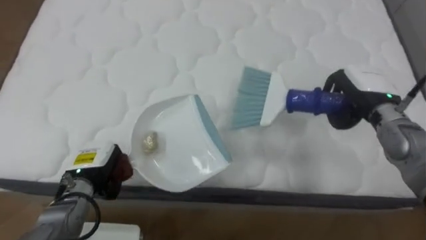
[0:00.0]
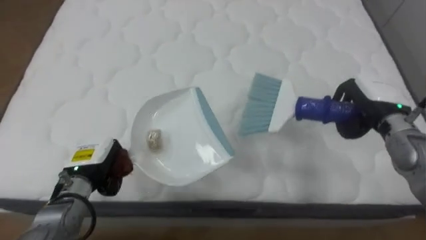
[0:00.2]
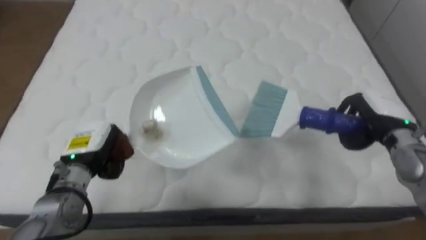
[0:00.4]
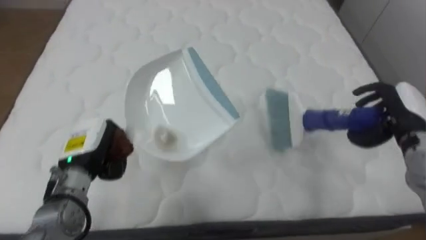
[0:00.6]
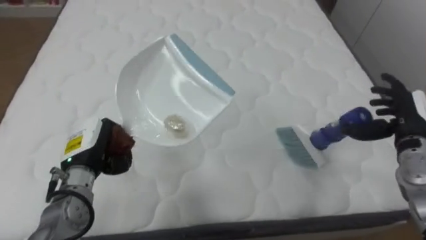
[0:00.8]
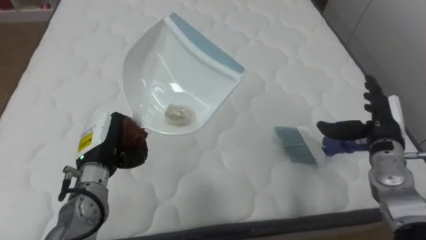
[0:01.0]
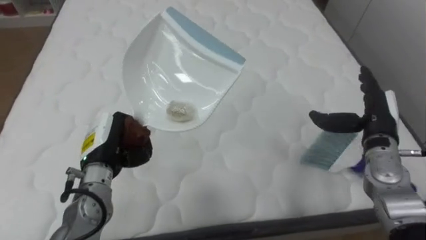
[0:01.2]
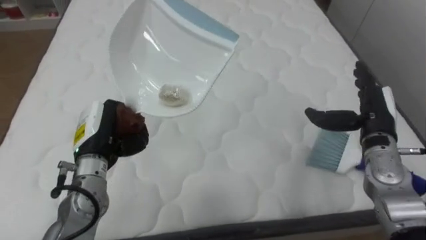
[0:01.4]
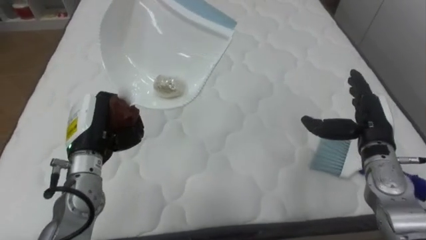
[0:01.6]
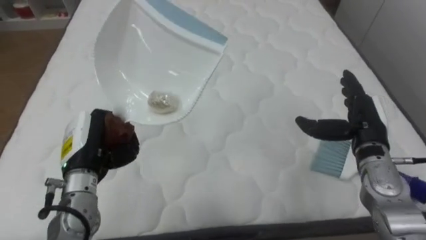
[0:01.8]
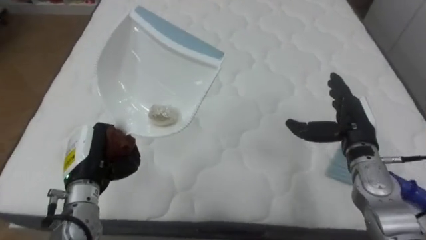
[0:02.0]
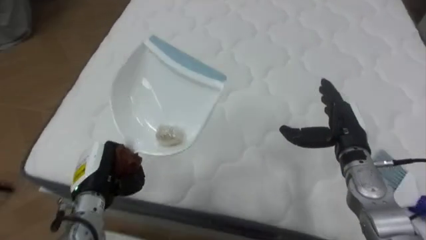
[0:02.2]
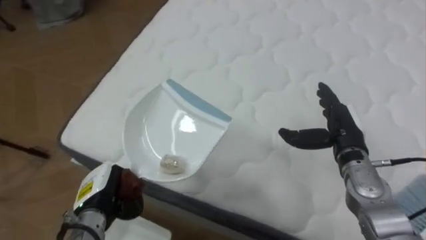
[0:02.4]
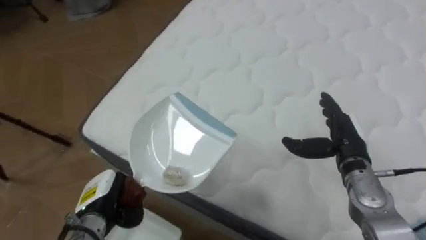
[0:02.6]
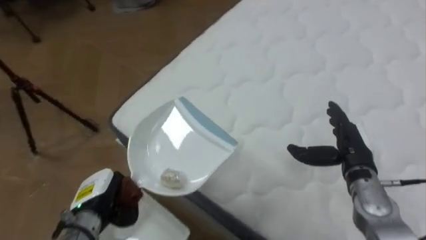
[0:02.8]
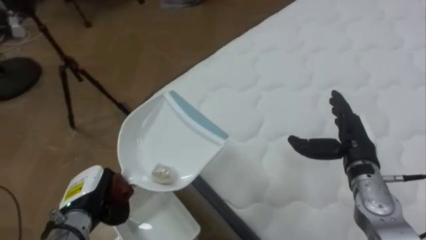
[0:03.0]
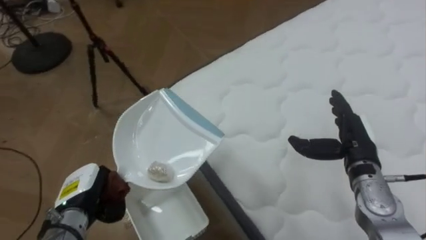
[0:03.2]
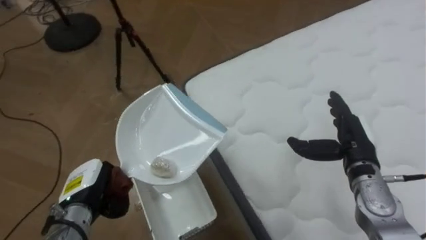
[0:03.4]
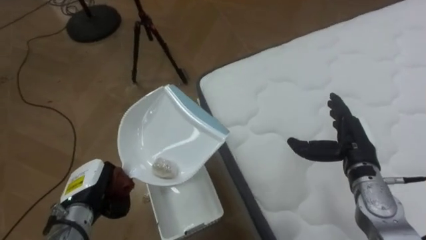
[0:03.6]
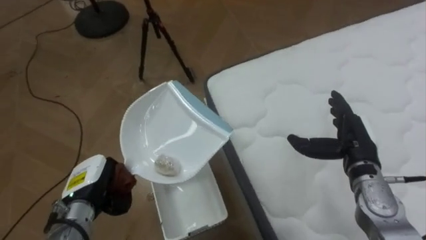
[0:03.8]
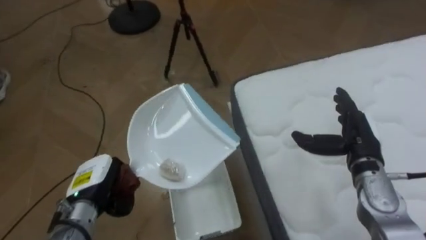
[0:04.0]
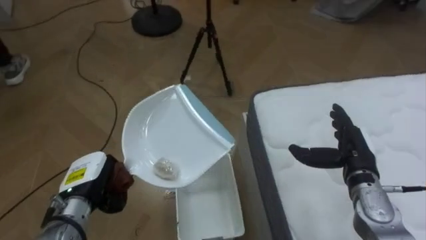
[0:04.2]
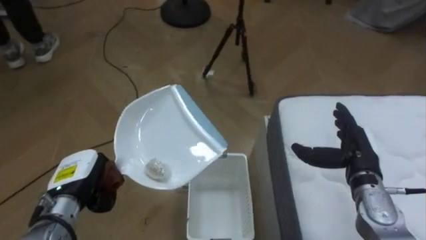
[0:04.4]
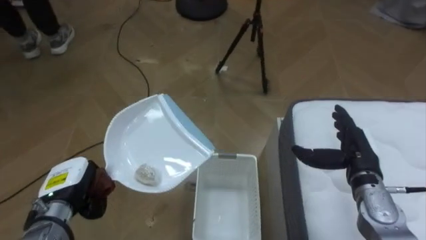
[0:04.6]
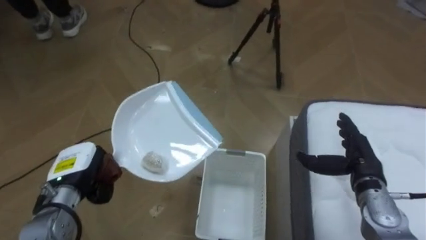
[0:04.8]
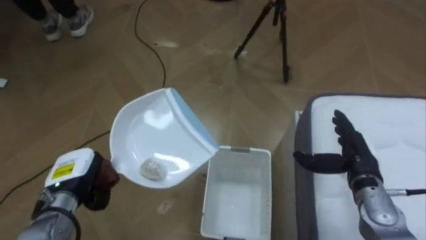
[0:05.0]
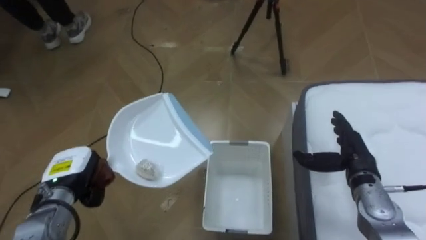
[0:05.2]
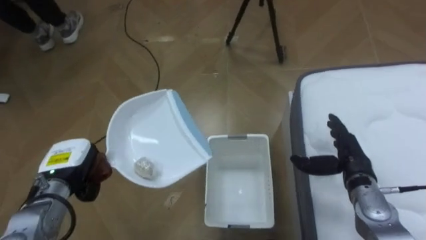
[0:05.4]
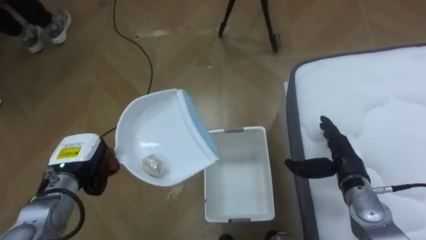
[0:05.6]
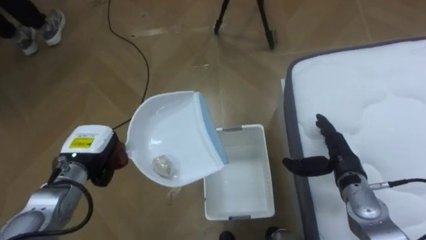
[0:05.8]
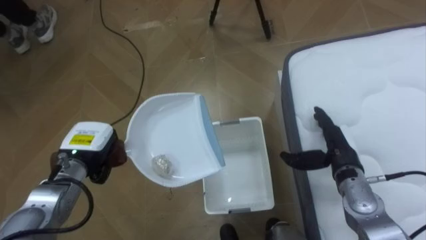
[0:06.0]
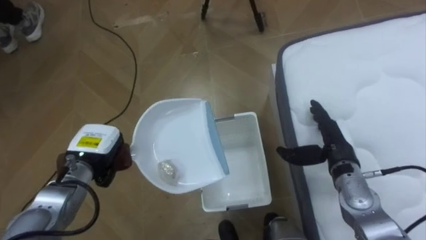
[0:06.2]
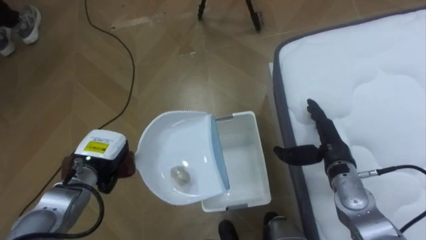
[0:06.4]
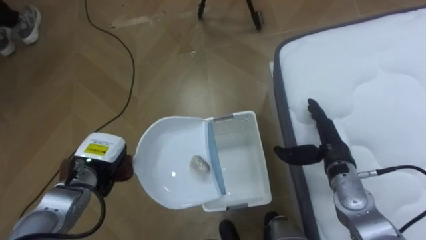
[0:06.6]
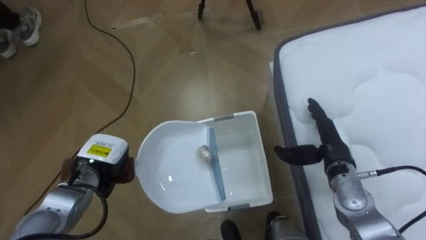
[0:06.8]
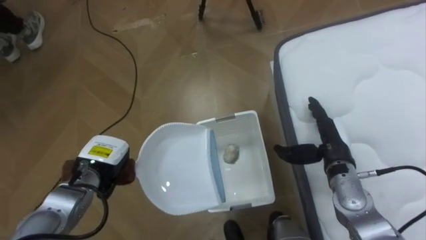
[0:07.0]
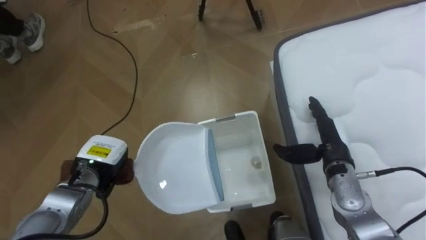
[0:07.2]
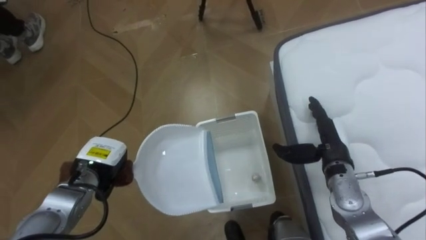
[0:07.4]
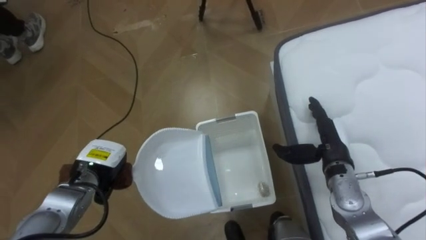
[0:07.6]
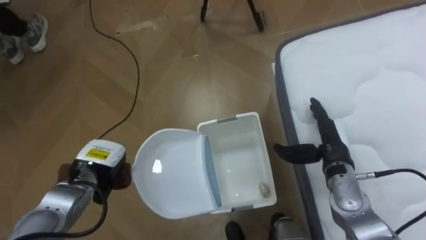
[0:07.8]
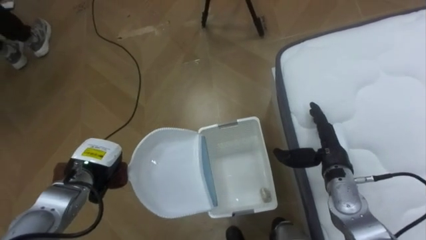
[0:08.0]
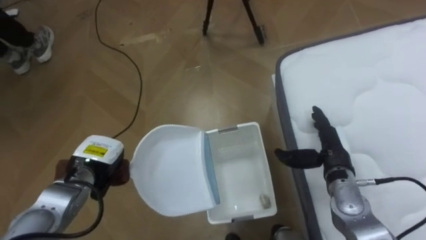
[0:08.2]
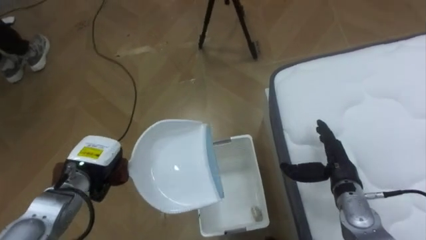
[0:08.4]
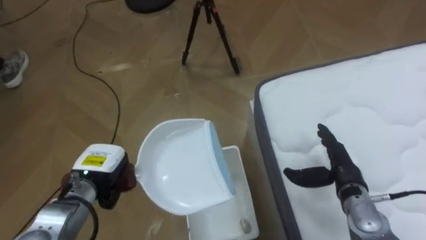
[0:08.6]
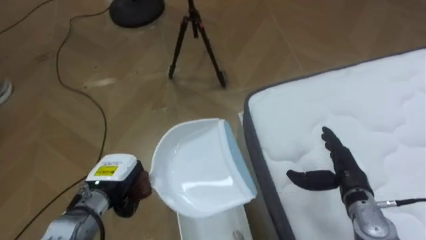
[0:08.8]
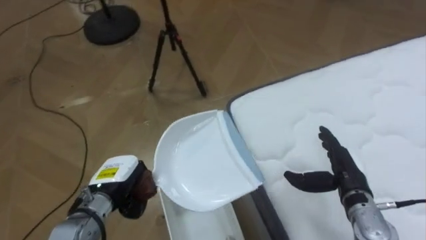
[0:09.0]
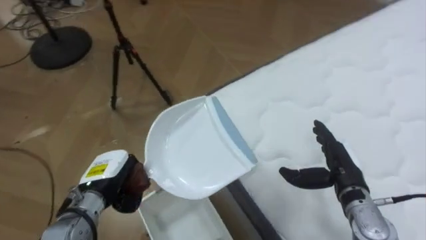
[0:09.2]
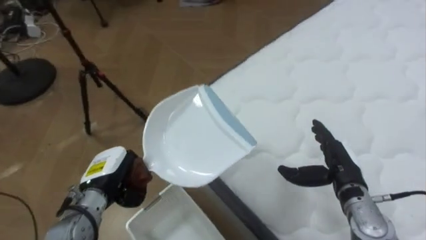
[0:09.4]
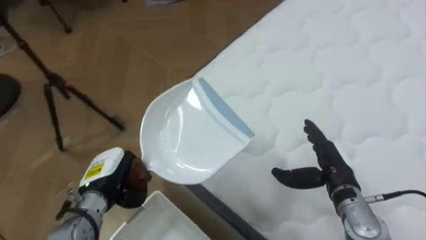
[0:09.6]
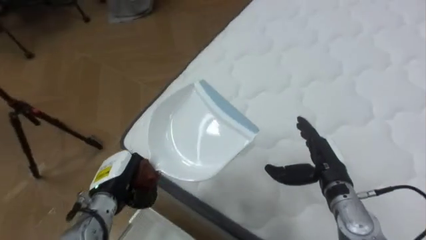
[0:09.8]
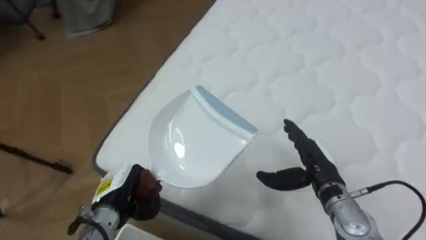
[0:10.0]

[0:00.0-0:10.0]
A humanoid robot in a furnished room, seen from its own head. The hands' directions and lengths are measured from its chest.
Task of the whole recording: Pick up the brush on your right and the dustpan on your left. Use the brush to sweep the crumpled paper on the bed into the dustpan, then turn left and empty it into the basket.
0:00.0 to 0:01.4: The left hand moves upward, about 10 cm; the right hand moves roughly 10 cm to the right and comes back, and opens.
0:01.4 to 0:02.8: The robot turns to its left by approximately 45 degrees. The left hand goes some 15 cm downward and backward. Meanwhile the right hand moves downward, roughly 5 cm.
0:02.8 to 0:04.2: The robot faces some 45 degrees further to its left.
0:04.2 to 0:05.8: The left hand goes approximately 5 cm forward.
0:07.2 to 0:08.6: The right hand changes place by approximately 5 cm.
0:08.6 to 0:10.0: The robot faces roughly 60 degrees further to its right. The right hand moves to the left, about 5 cm. Meanwhile the left hand changes place by approximately 5 cm.

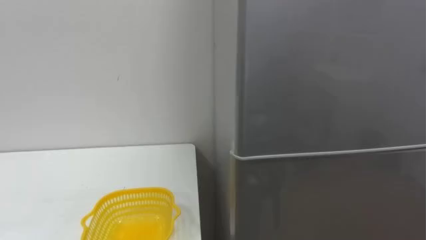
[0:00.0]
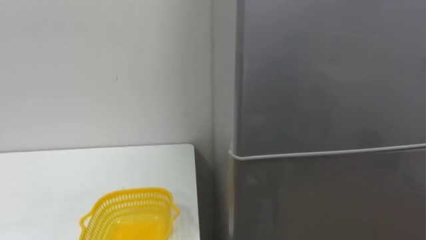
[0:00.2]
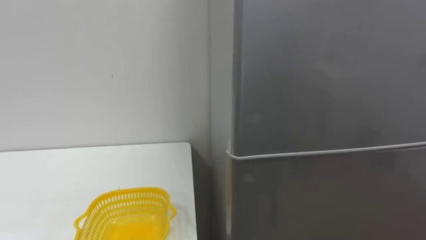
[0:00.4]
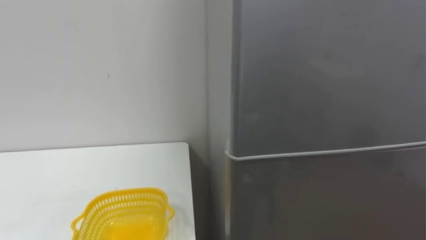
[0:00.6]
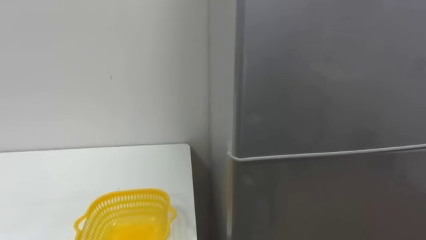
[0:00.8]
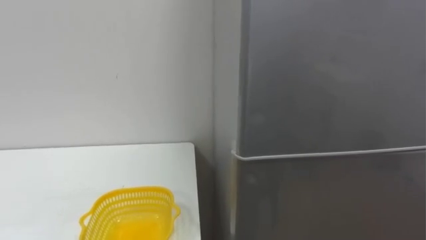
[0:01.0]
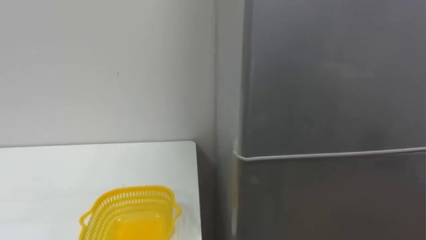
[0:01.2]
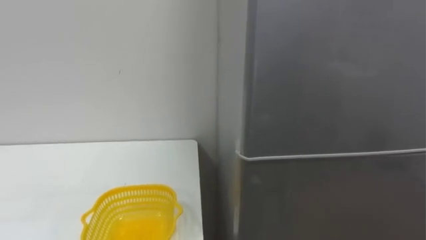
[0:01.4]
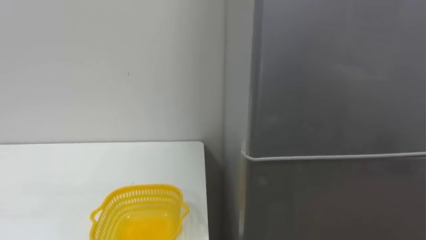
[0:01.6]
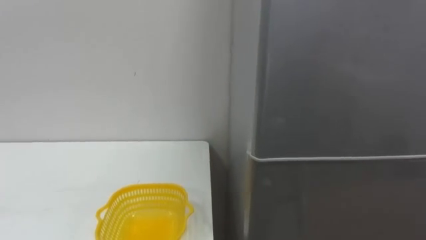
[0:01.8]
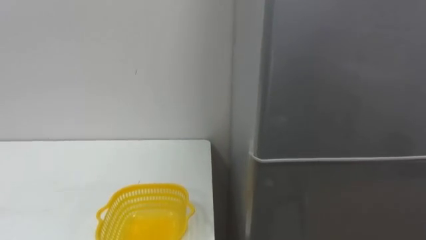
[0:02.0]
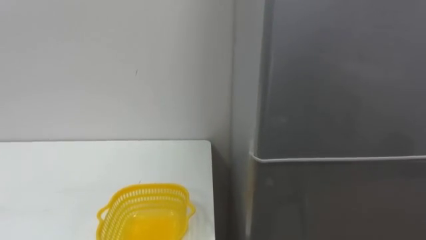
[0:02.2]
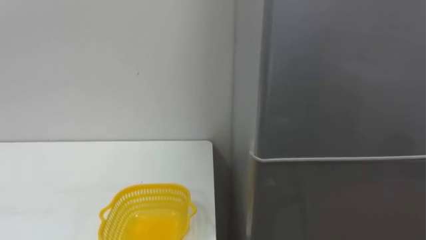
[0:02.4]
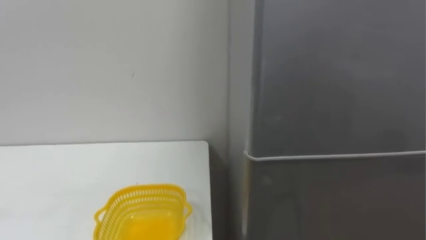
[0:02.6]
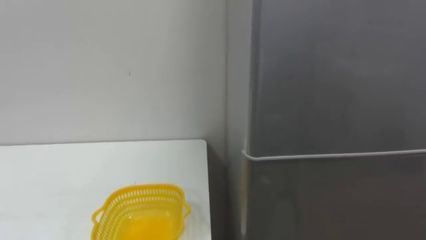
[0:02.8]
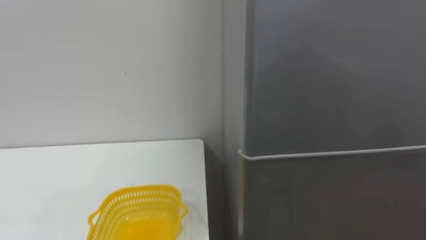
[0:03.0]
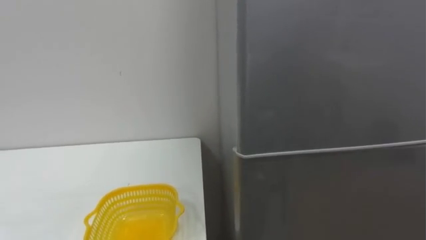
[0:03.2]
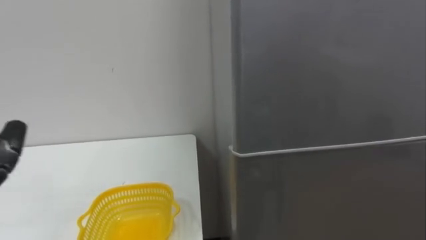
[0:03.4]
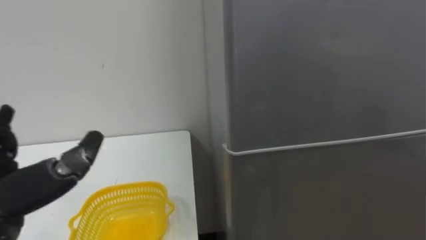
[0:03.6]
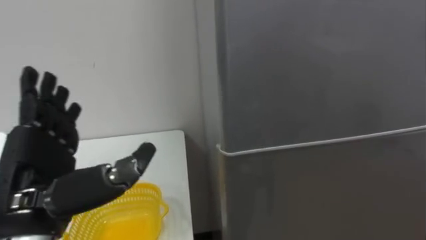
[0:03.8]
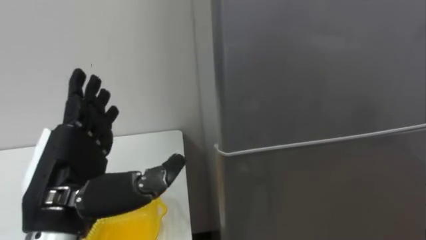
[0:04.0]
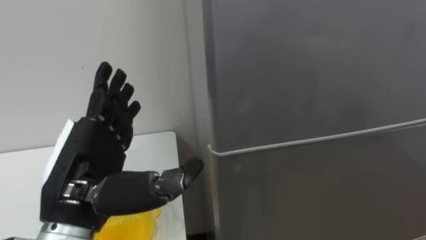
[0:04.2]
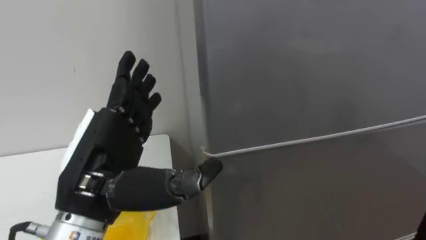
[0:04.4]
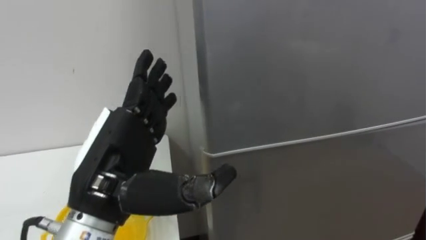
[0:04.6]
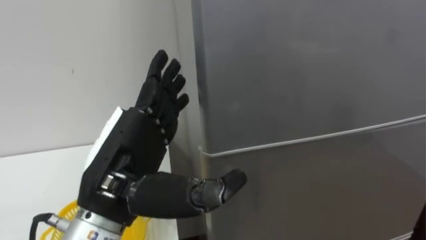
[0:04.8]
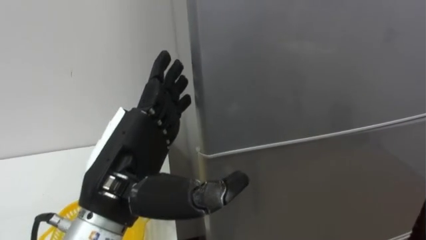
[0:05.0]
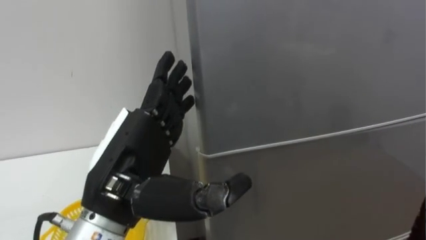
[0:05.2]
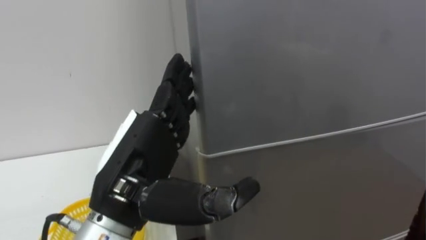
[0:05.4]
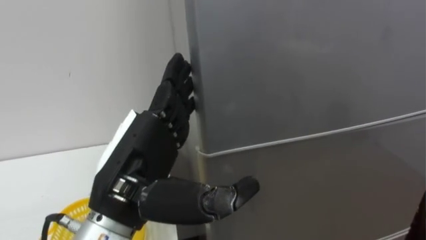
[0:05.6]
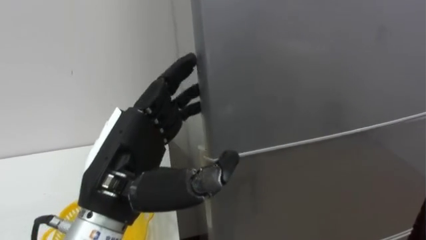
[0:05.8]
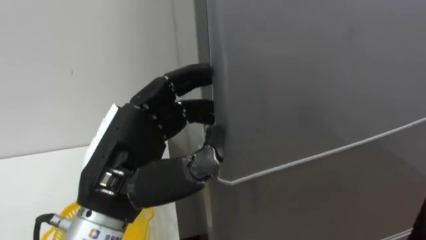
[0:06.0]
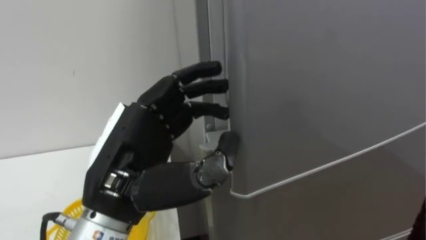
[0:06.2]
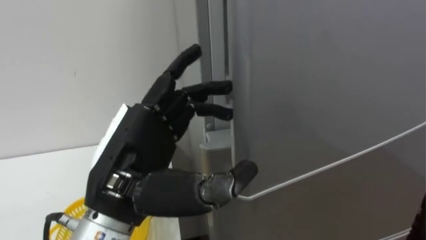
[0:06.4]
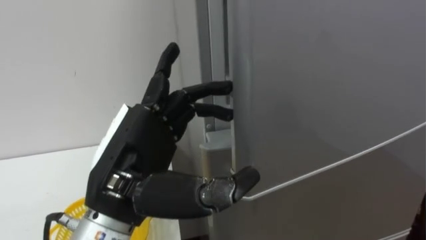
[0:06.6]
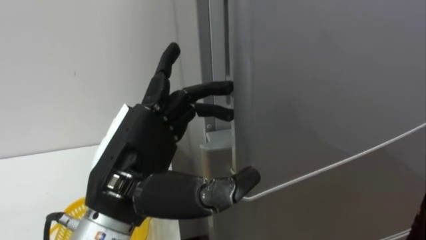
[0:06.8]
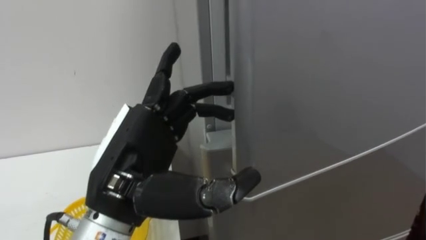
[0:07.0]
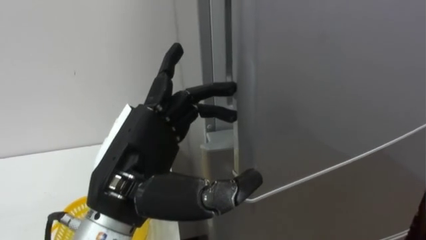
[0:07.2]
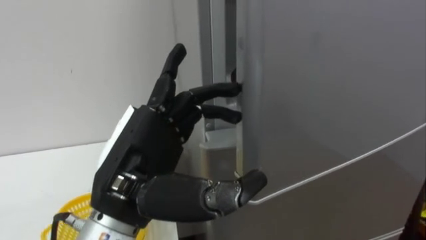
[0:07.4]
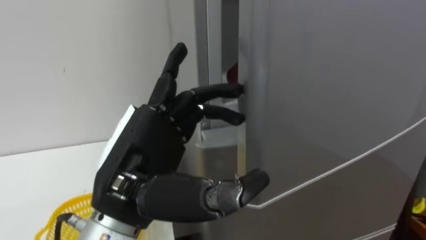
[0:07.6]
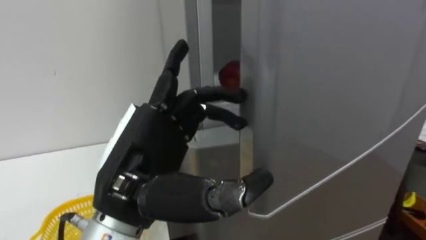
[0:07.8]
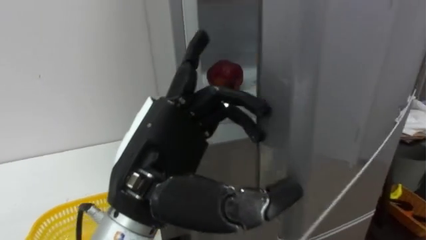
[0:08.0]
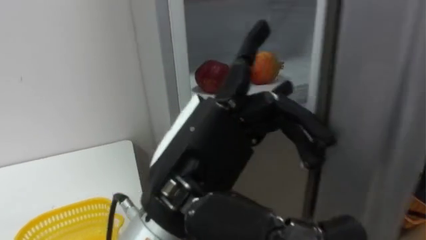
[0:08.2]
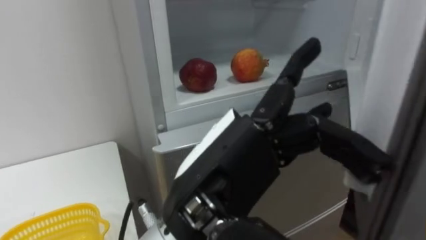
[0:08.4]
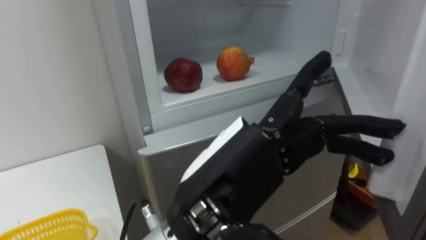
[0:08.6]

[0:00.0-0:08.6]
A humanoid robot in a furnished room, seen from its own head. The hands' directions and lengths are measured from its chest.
Task of the whole recording: Open the refrigerator door, take out the apple and the pomegranate, place them in the fruit basket on the left, and close the refrigerator door.
0:07.2 to 0:08.6: The left hand heads to the right, covering about 10 cm.
